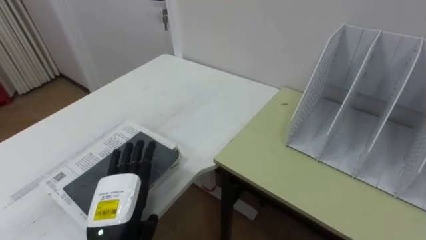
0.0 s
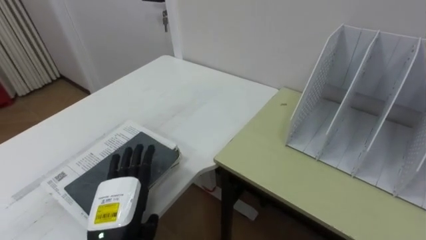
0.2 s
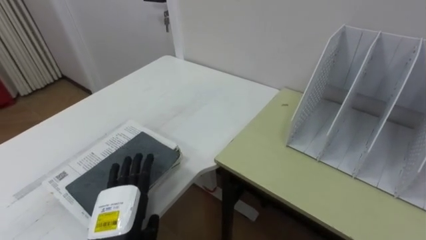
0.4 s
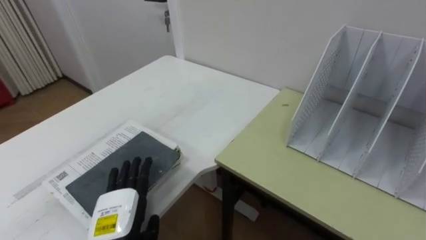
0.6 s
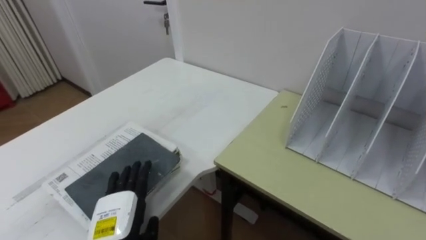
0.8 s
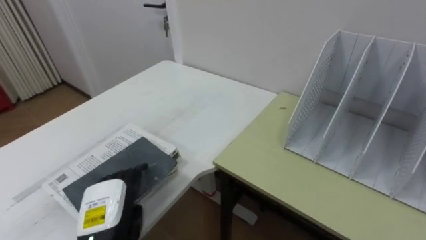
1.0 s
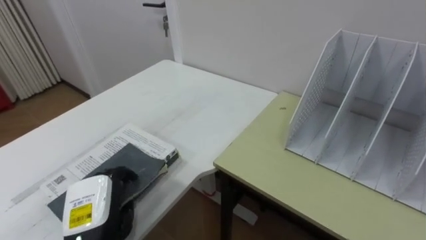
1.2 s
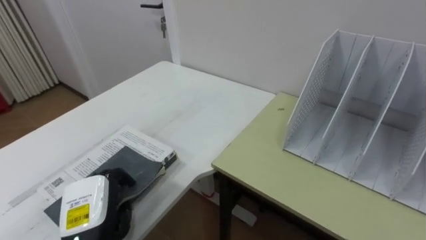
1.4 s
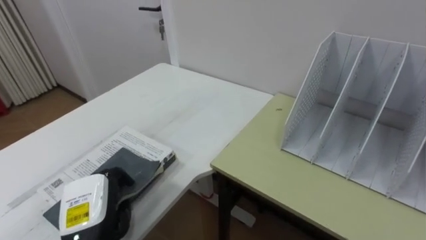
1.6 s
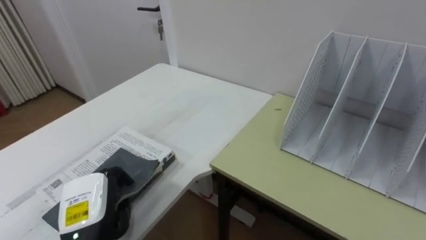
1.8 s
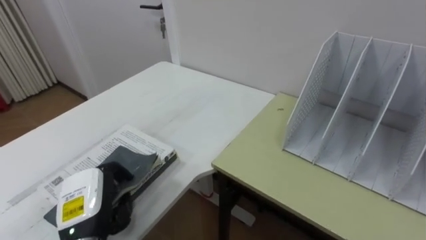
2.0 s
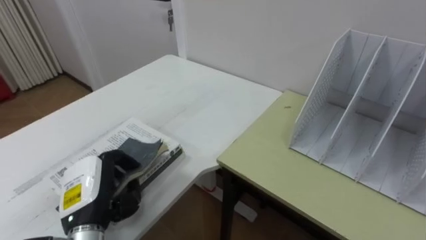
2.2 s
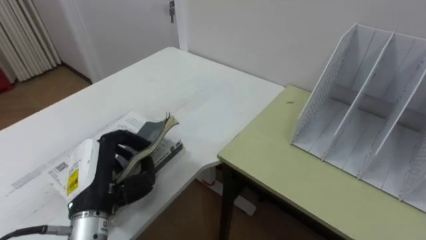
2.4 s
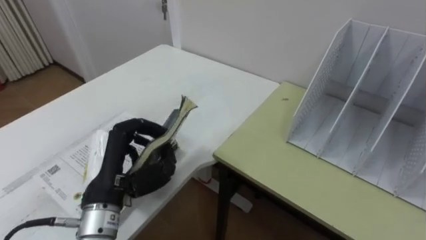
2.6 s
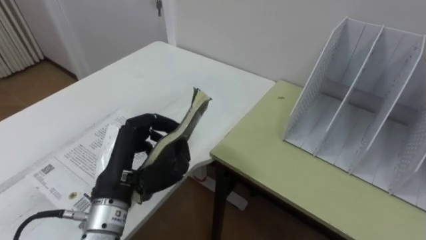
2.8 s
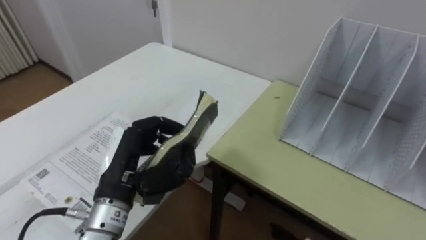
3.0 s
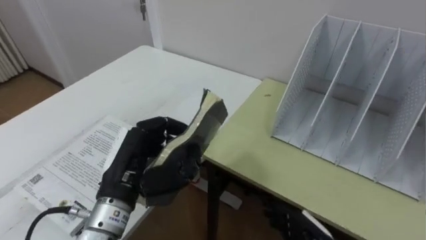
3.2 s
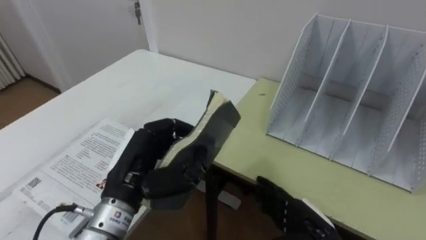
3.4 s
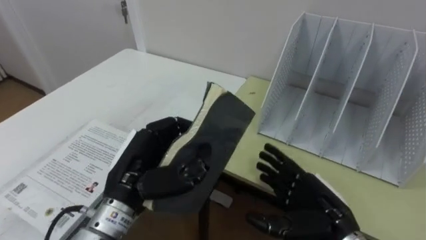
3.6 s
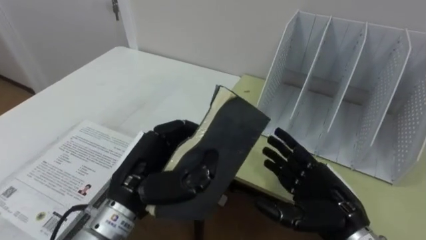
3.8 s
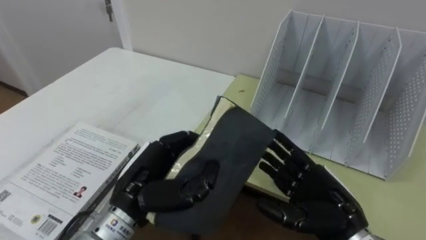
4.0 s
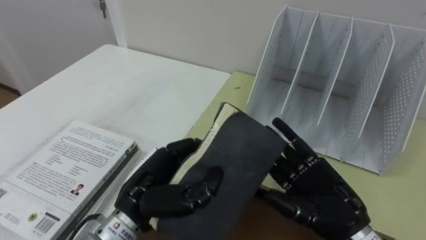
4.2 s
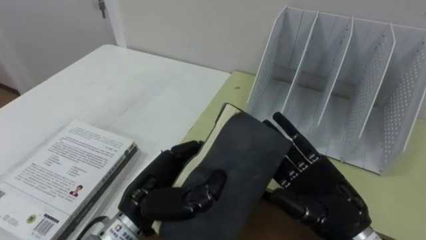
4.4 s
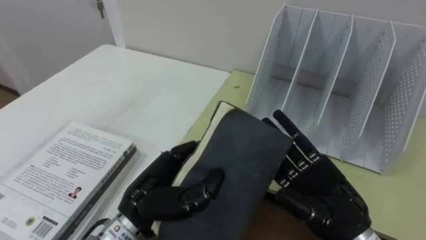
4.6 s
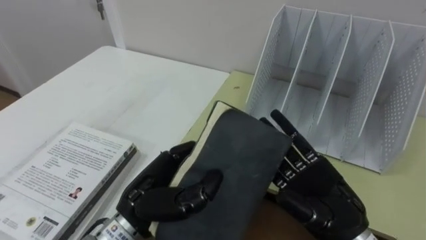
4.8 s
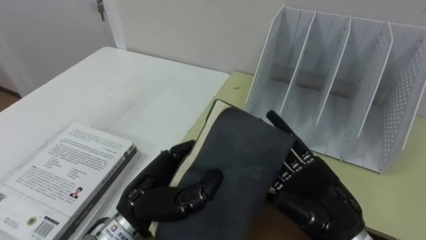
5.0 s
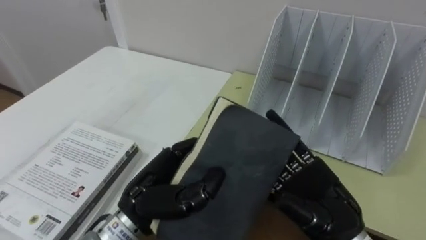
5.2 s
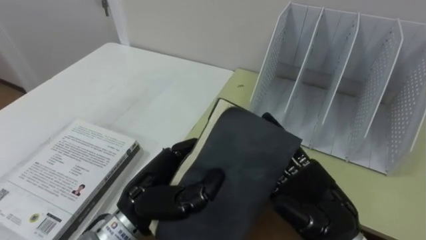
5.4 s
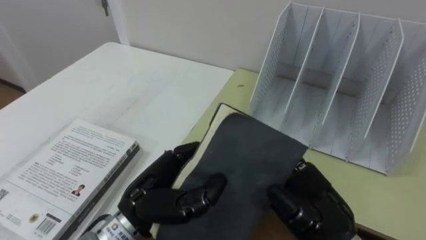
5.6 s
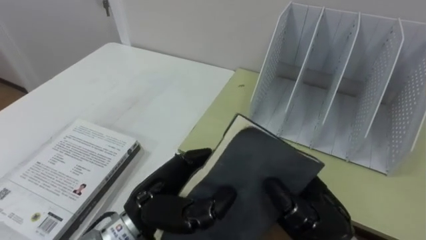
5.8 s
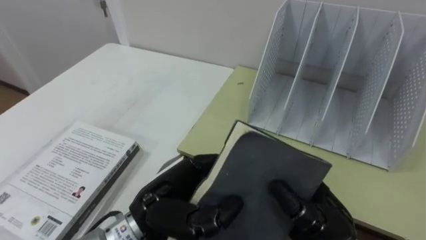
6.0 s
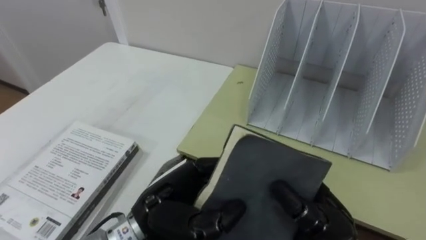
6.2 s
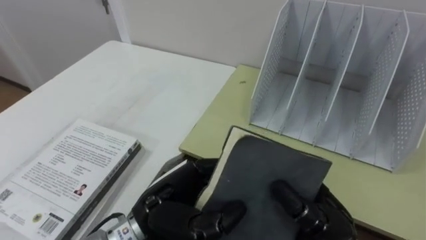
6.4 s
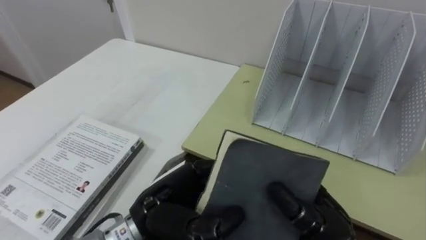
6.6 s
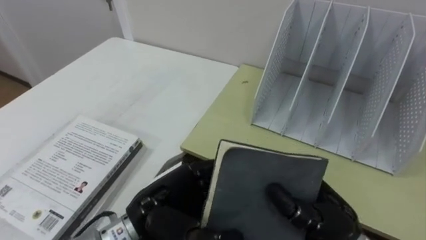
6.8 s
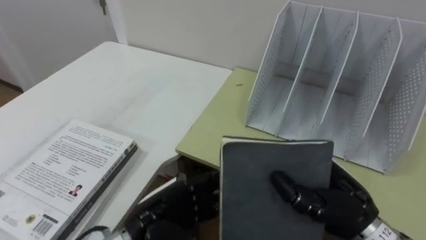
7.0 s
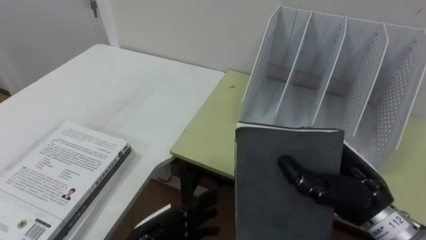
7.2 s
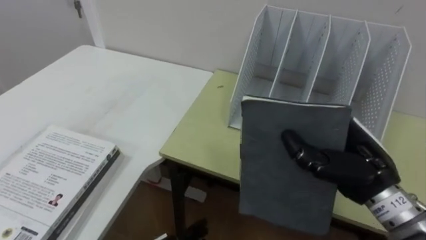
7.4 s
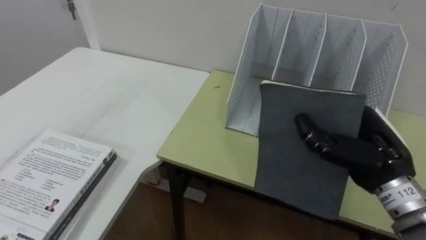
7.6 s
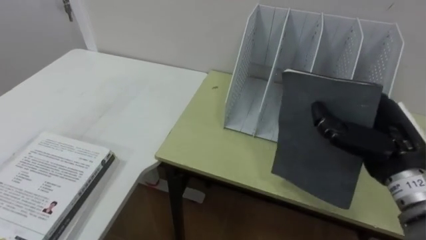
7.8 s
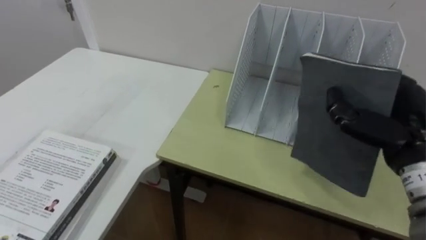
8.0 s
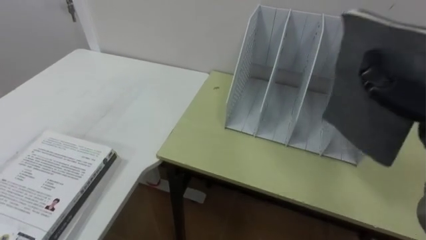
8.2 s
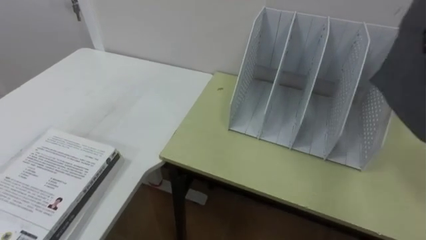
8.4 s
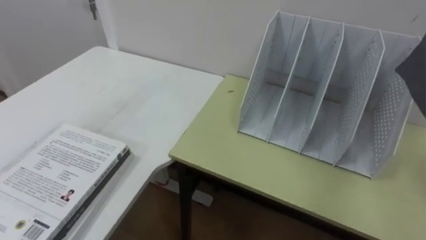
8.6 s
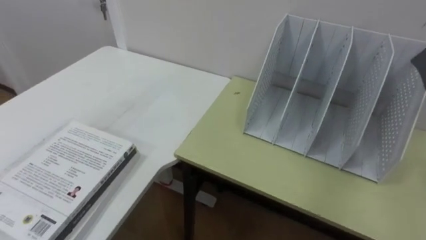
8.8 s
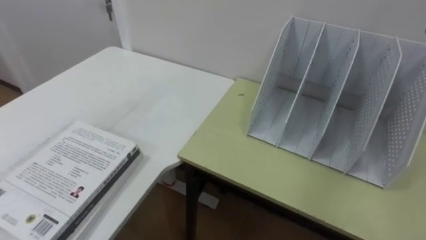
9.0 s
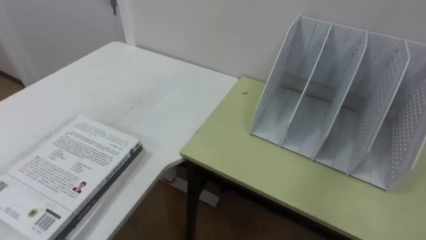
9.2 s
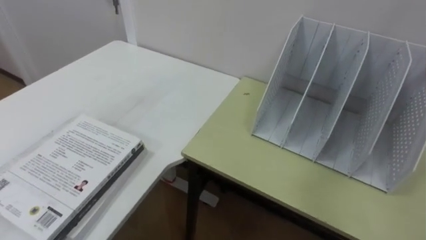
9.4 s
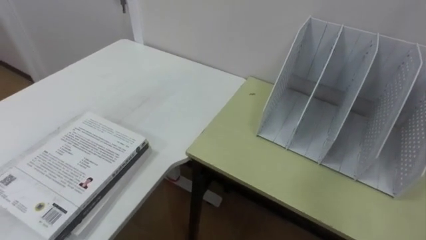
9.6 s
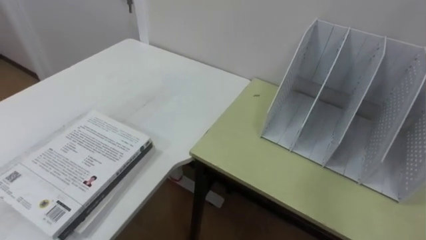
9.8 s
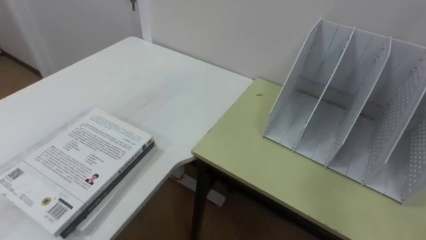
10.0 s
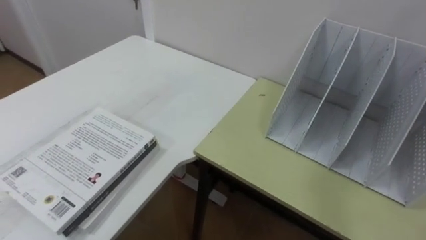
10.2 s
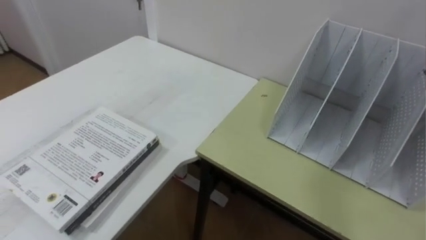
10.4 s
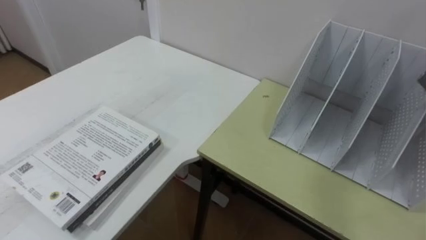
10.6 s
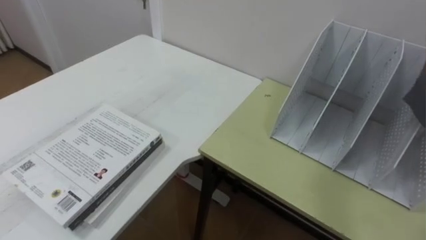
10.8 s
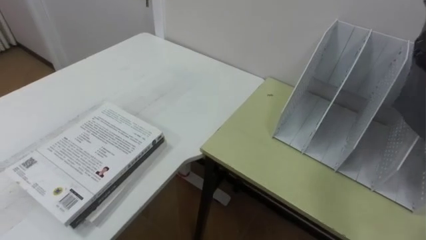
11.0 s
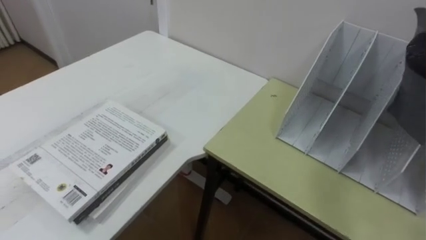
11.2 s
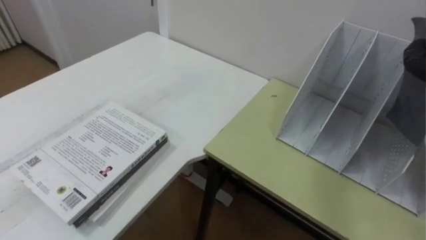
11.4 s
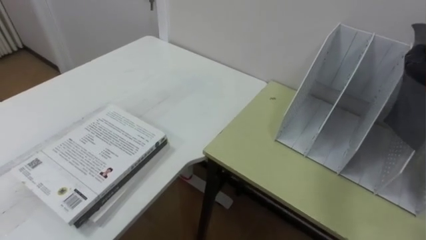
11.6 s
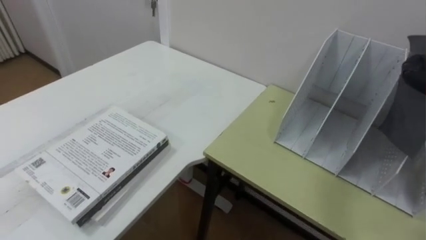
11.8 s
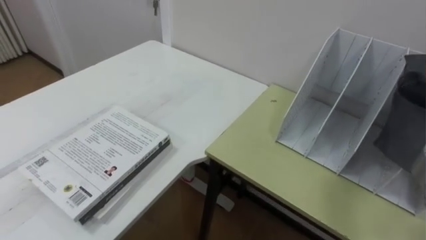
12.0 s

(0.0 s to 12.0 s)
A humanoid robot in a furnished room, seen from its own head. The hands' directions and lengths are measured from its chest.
Task of the whole recording: Put the books on the table onto the bookshelf.
0.0 s - 1.6 s: The left hand closes its fingers.
1.6 s - 3.0 s: The left hand heads upward and to the right, covering approximately 10 cm.
3.0 s - 4.4 s: The left hand travels to the right by about 5 cm.
4.4 s - 6.0 s: The right hand closes up.
6.0 s - 7.6 s: The right hand travels to the right, forward and upward by approximately 10 cm.
